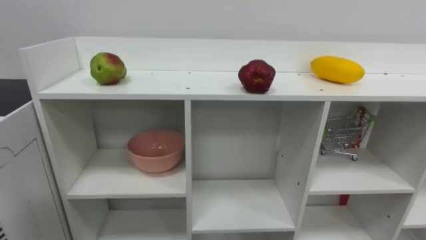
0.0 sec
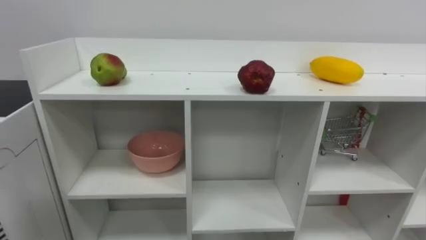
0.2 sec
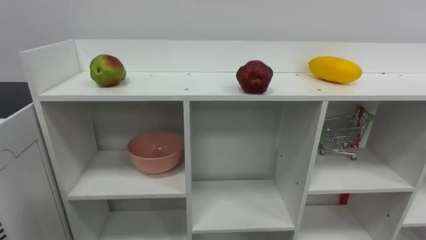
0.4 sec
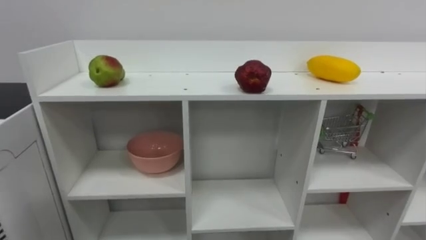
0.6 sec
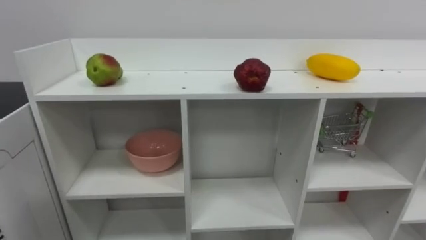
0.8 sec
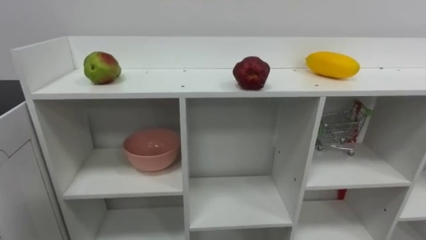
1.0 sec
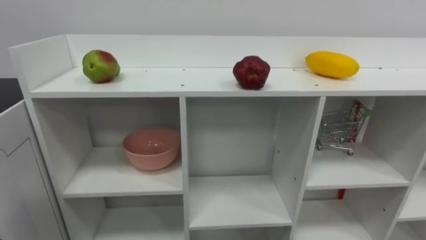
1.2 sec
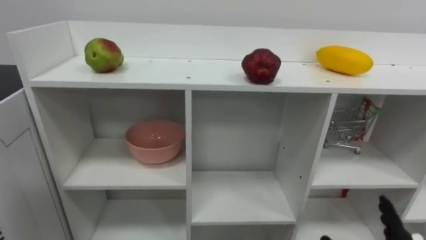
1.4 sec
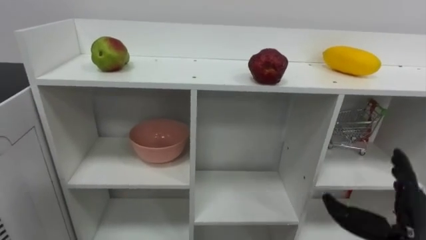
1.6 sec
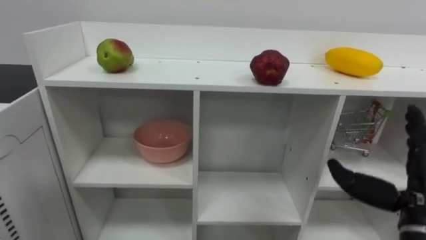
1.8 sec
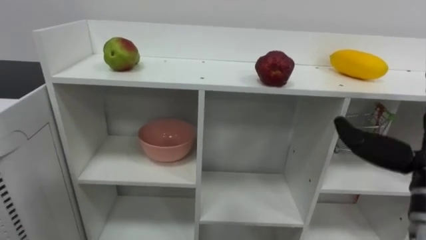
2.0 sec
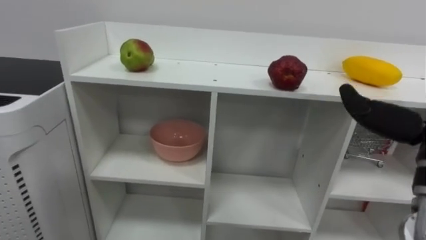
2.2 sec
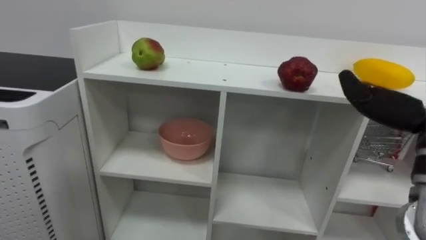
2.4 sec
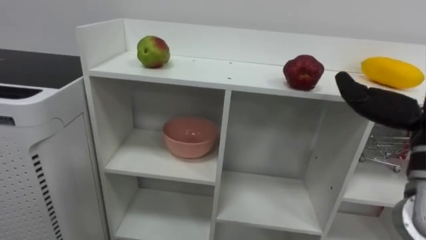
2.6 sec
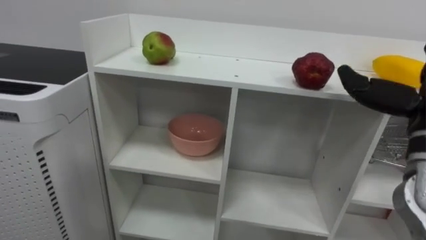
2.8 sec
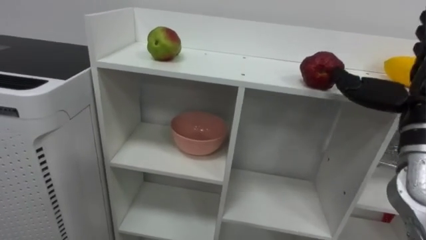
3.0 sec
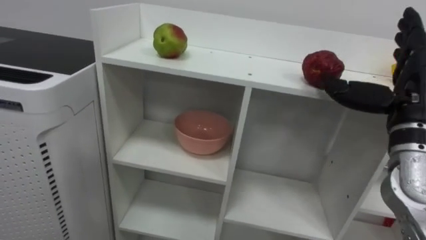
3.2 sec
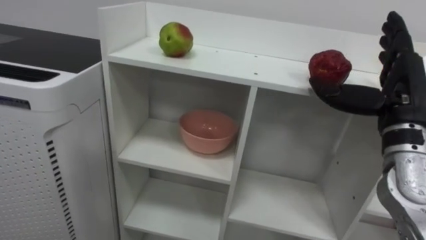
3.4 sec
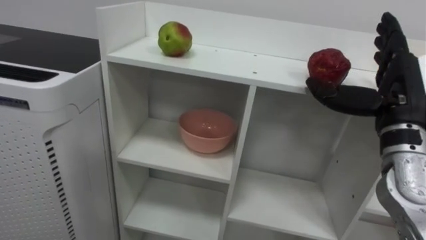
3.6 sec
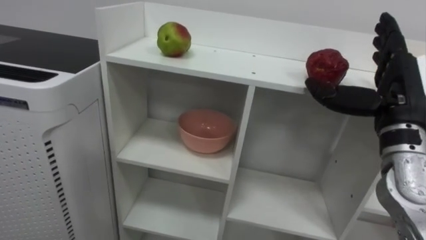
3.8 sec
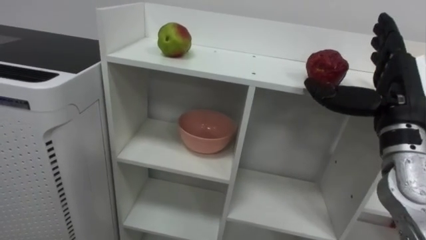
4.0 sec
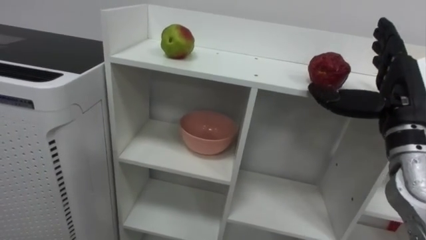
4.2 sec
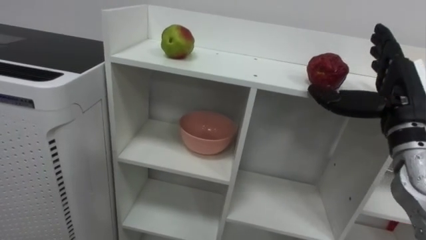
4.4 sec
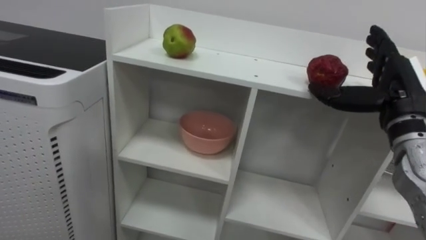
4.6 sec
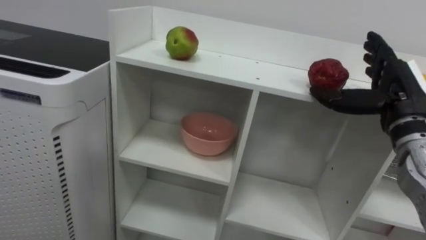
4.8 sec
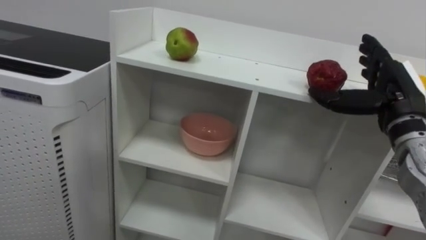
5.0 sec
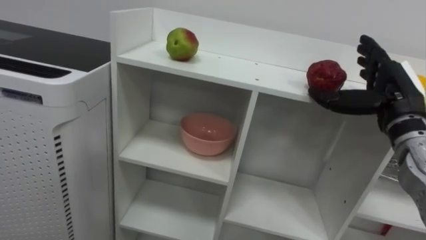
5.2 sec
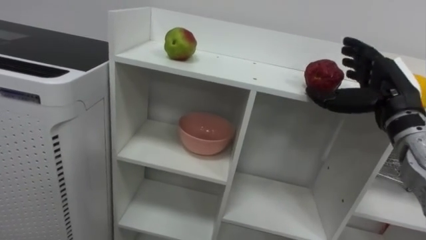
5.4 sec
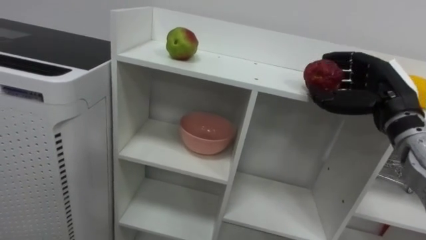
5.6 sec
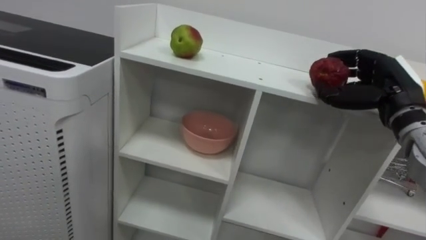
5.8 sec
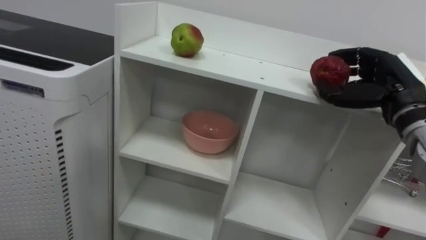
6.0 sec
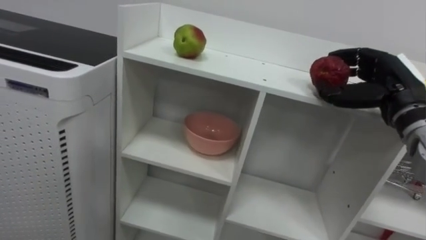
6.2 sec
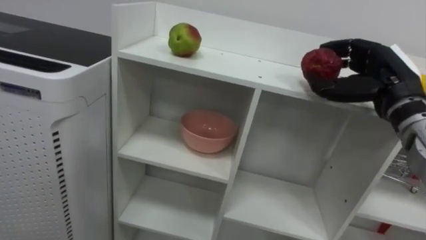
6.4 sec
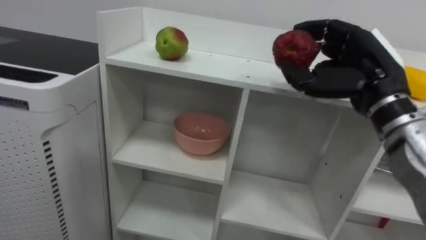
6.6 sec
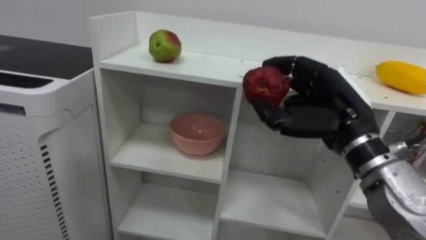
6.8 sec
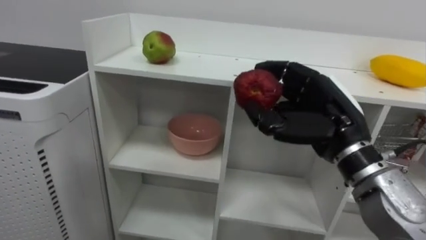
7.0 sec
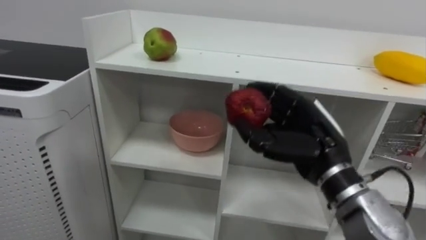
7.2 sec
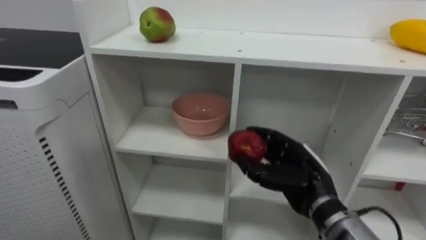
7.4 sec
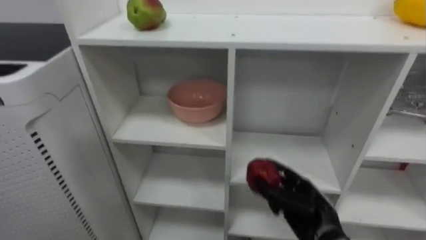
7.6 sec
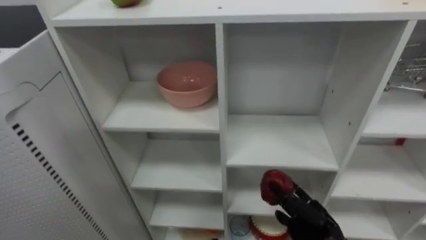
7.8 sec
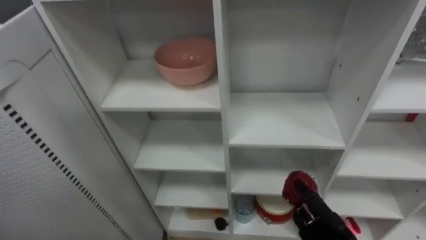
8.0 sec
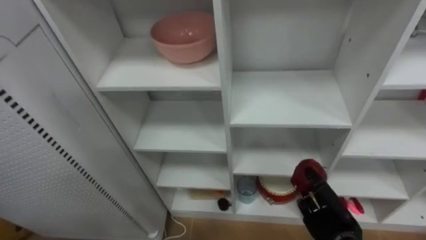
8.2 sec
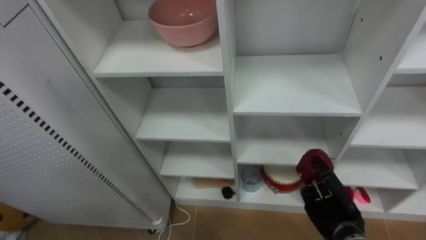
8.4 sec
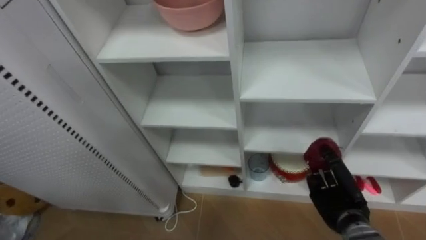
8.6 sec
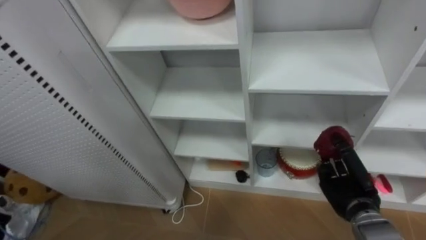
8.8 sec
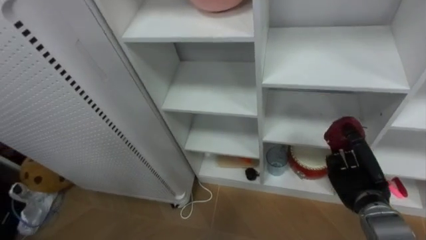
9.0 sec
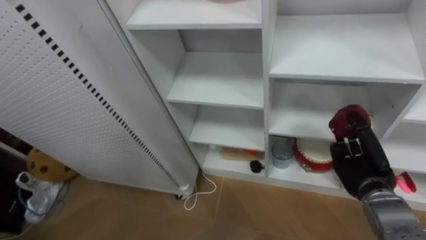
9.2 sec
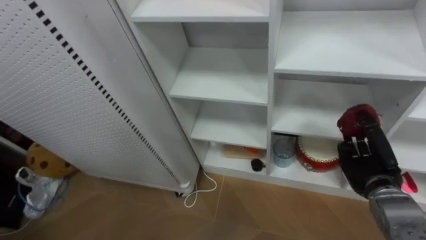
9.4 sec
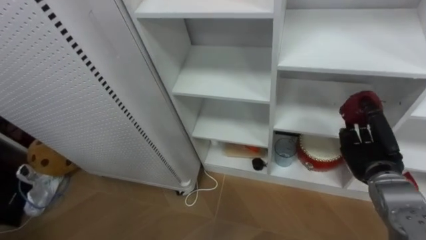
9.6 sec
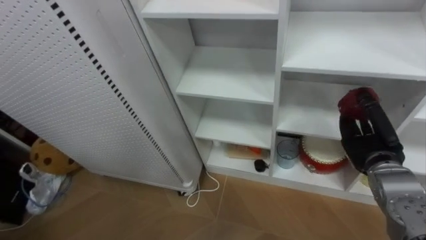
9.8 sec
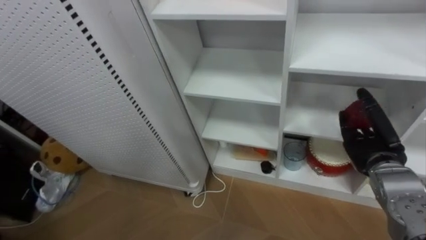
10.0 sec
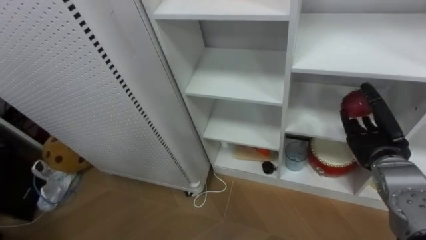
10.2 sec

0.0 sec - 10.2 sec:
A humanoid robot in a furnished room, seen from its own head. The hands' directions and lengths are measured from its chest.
Task of the whole recording: Put the apple in the cell in the second column from the left and the second row from the top.
4.4 sec - 5.8 sec: The right hand closes its fingers.
5.8 sec - 7.2 sec: The right hand travels to the left and backward by about 15 cm.
7.2 sec - 8.8 sec: The right hand moves downward and to the right, approximately 20 cm.
8.8 sec - 10.2 sec: The right hand moves upward, roughly 10 cm, and opens.

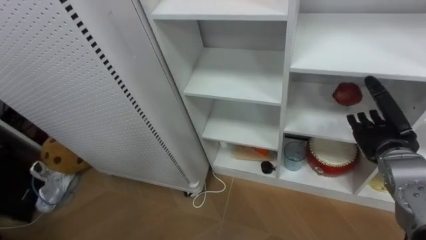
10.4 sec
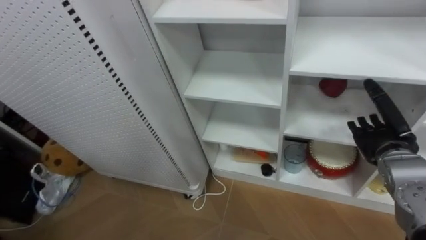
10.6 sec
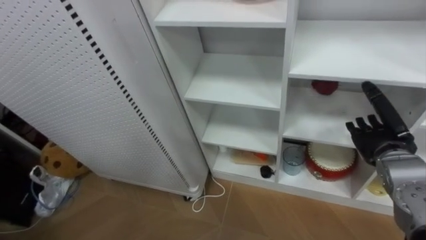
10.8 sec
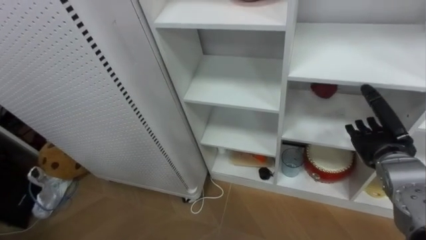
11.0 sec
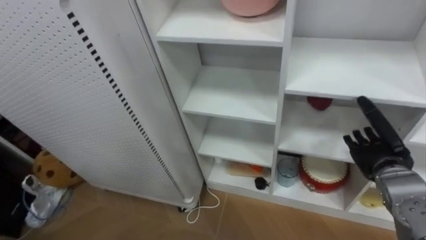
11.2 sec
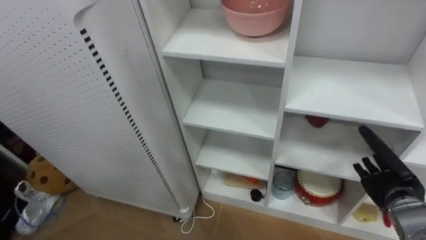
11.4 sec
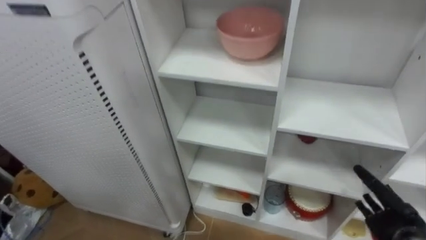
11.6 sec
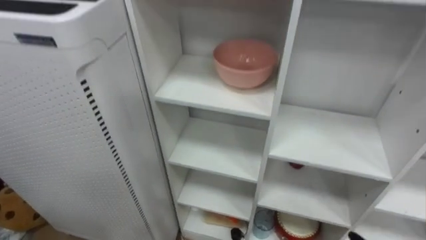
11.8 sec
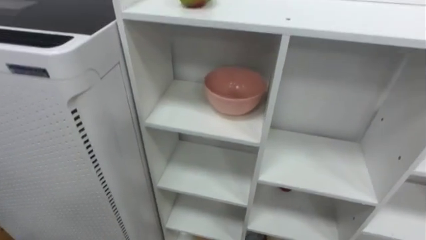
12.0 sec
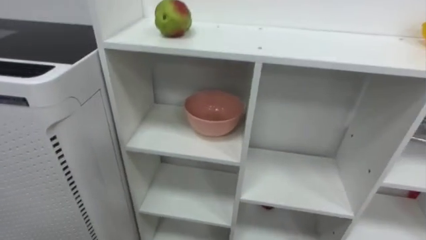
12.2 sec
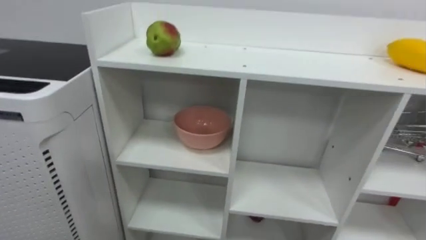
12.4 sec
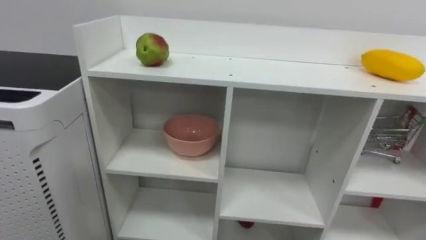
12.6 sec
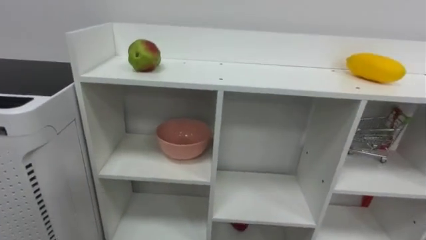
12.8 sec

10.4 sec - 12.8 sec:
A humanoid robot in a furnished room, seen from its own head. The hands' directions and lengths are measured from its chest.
Task of the whole recording: Put the apple in the cell in the second column from the left and the second row from the top.
10.4 sec - 11.6 sec: The right hand moves downward and backward, approximately 15 cm.

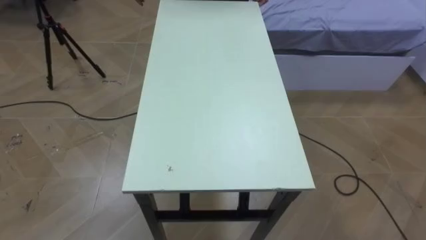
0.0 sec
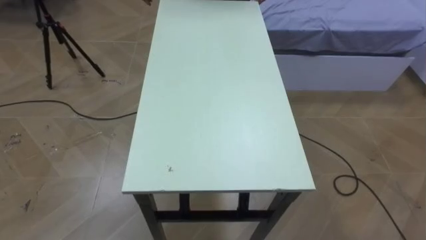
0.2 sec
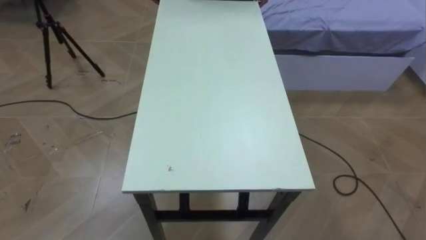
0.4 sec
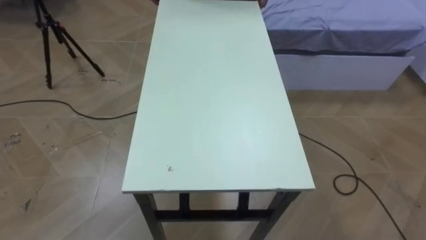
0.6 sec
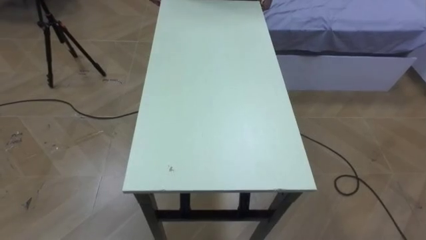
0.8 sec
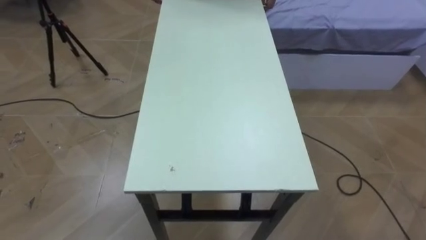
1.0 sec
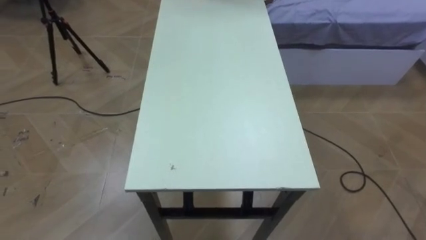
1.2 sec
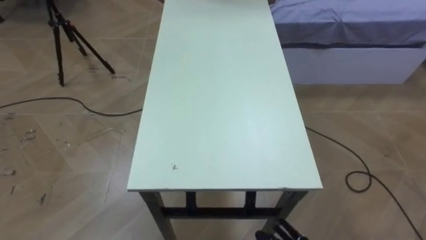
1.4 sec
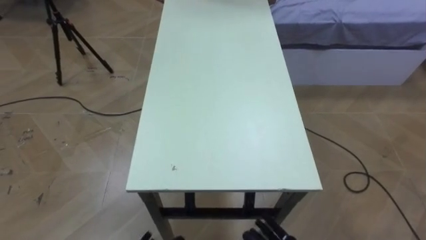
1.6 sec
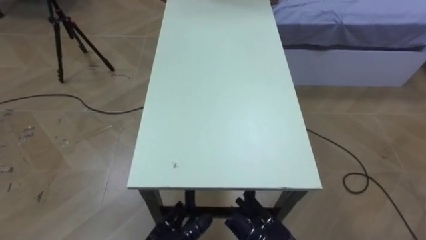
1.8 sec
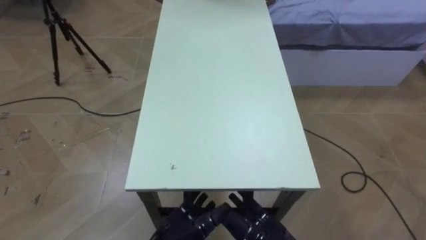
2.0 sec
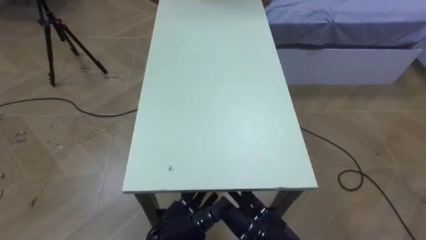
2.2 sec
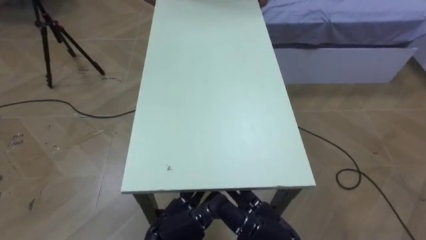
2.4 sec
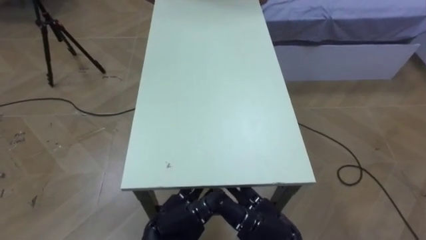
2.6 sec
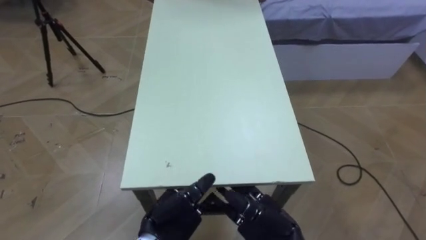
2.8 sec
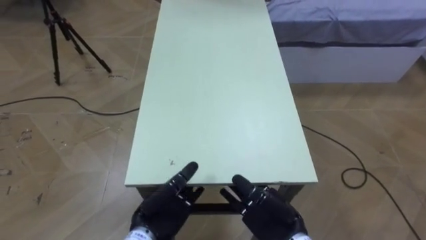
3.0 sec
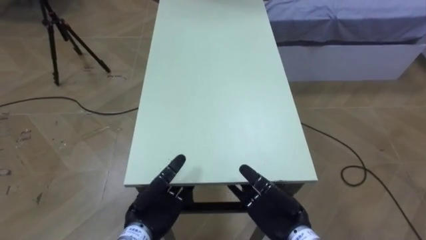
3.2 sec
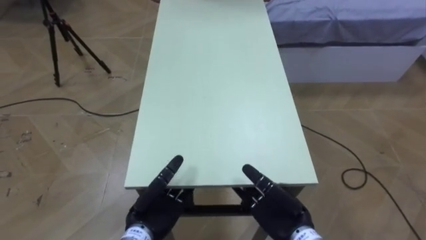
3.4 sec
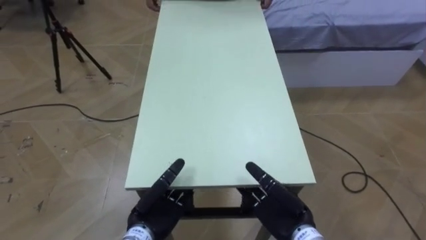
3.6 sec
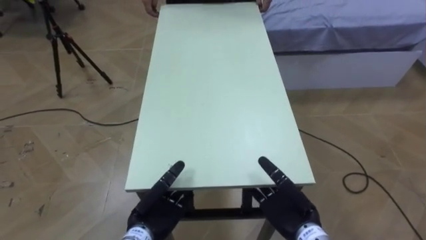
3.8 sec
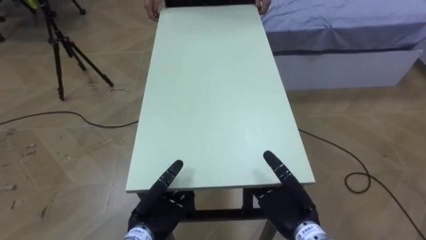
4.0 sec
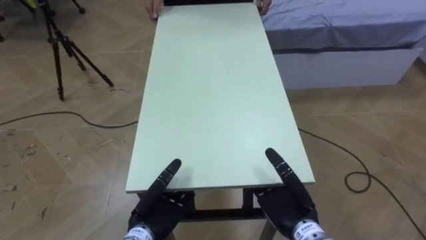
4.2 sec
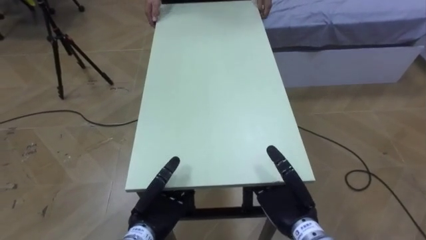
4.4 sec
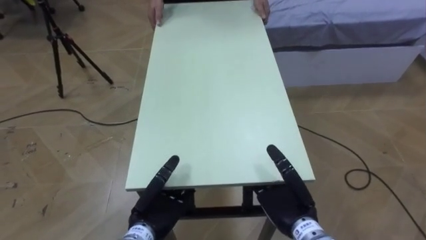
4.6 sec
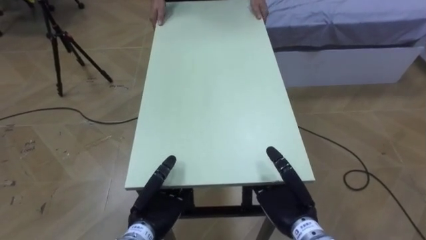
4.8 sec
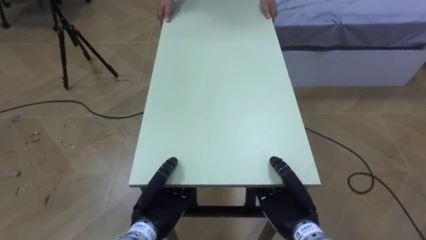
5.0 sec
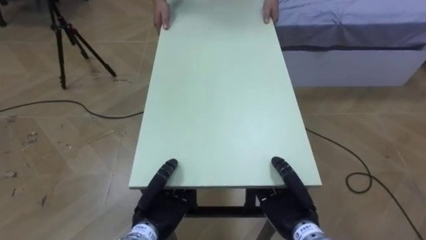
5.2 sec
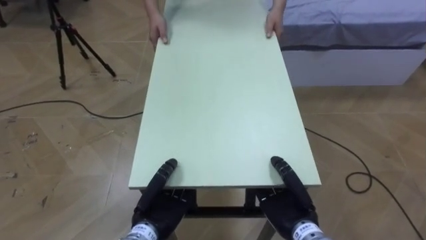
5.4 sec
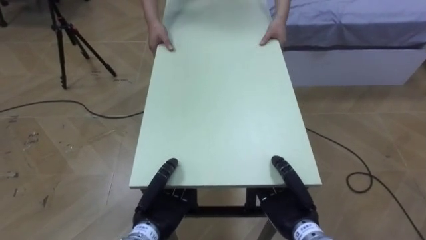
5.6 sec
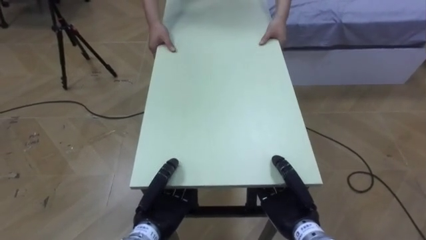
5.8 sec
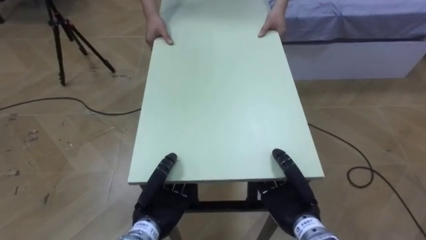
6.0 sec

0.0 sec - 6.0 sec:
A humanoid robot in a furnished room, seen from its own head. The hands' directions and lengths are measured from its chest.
Task of the whole recording: Move the table to the back left with someone.
4.4 sec - 6.0 sec: The right hand closes up. The left hand closes.
